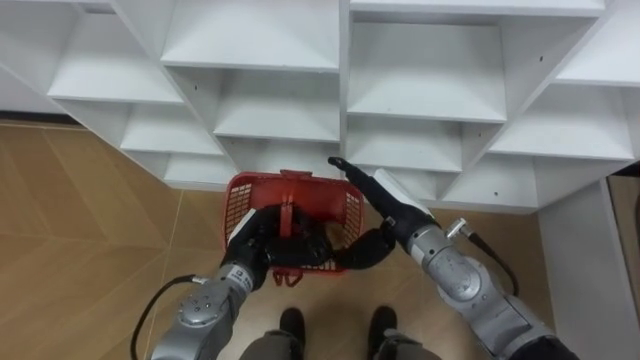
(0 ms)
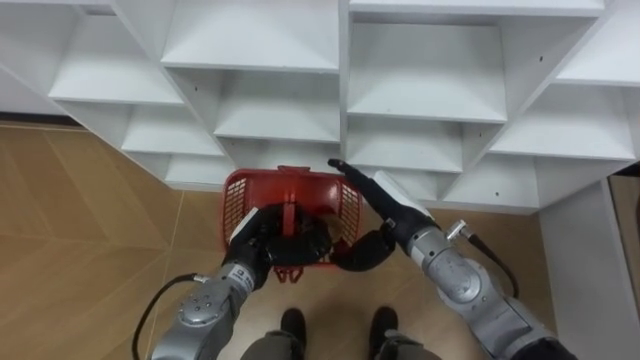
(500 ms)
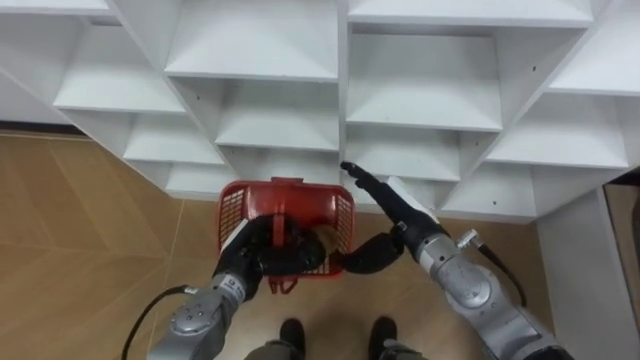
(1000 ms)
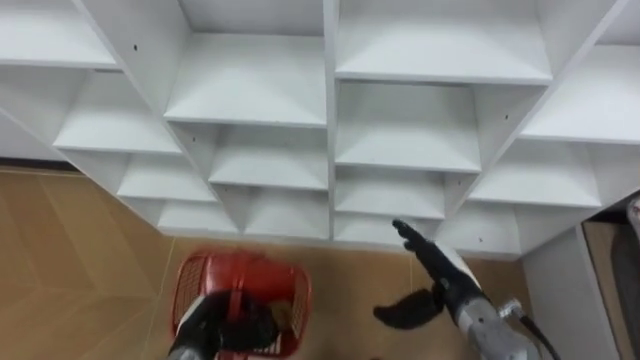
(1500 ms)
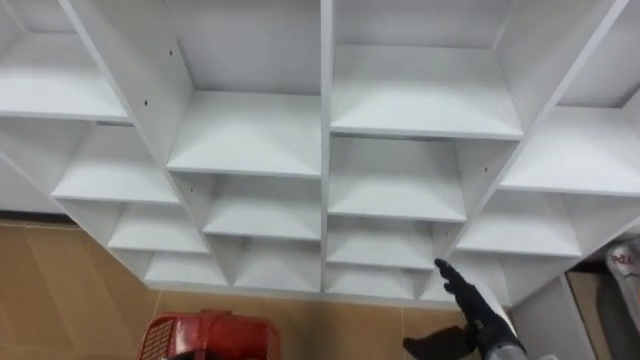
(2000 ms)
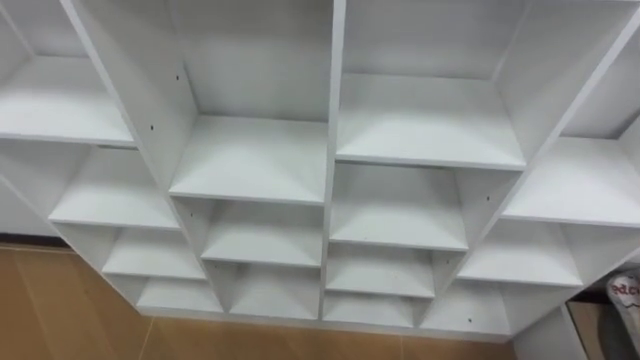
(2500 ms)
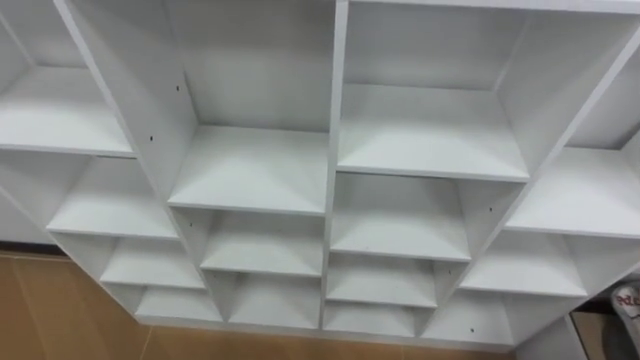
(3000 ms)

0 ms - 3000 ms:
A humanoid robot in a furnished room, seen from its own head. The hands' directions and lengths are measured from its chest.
Task of the whole recording: Hold the basket and collect the fruits from 3 different cells of the closet into it.
0 ms - 1500 ms: The right hand is displaced downward, to the right and backward by some 10 cm, while the left hand moves backward, downward and to the left, roughly 15 cm.

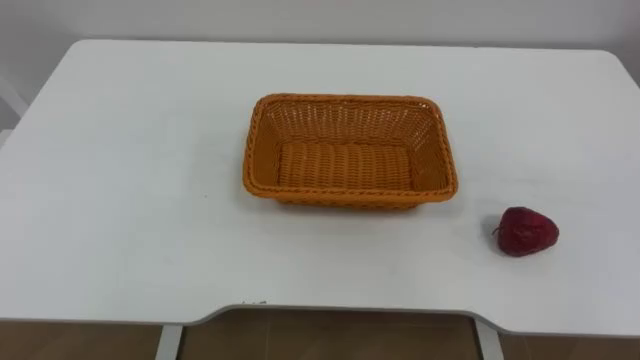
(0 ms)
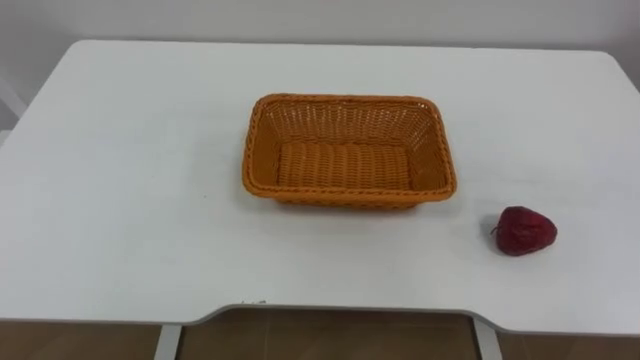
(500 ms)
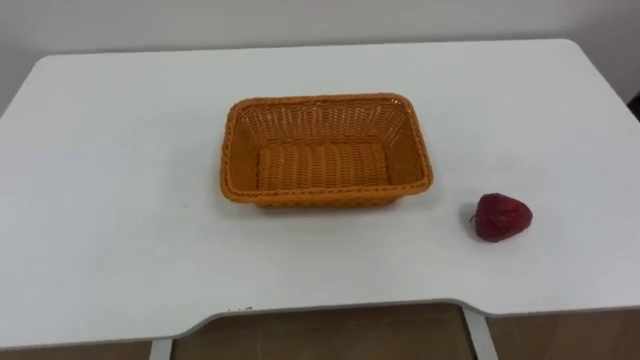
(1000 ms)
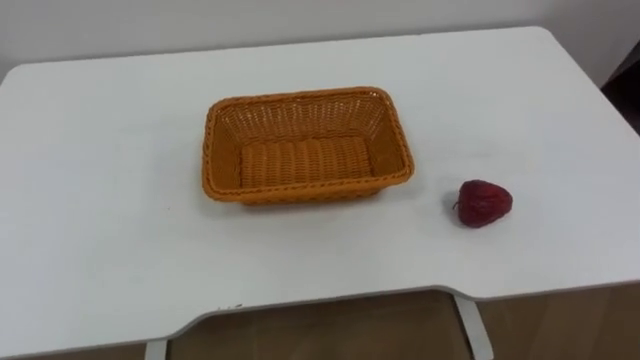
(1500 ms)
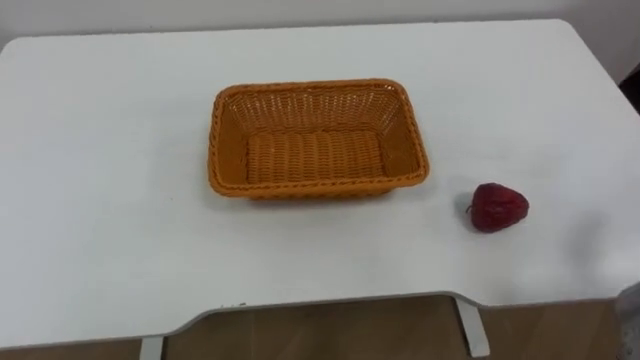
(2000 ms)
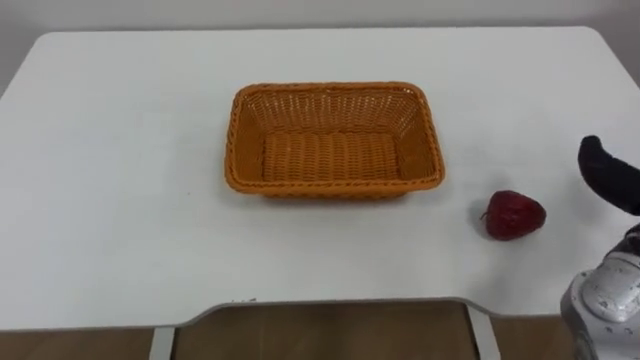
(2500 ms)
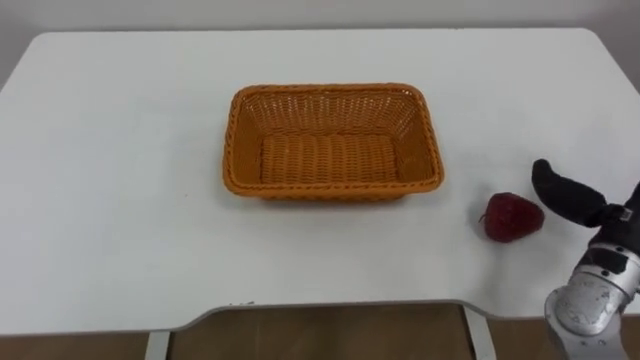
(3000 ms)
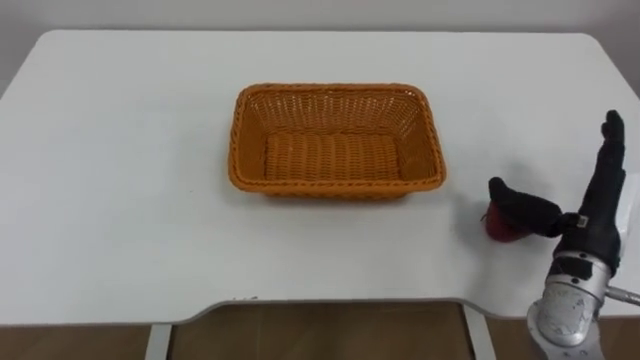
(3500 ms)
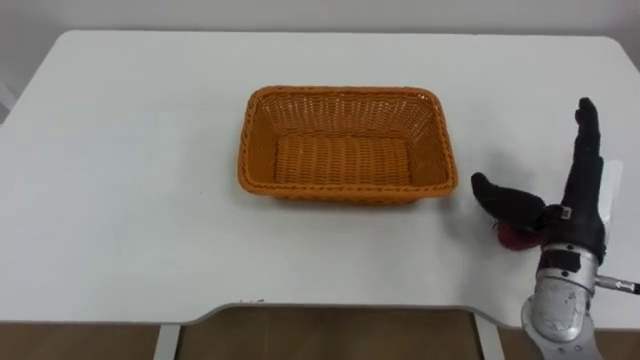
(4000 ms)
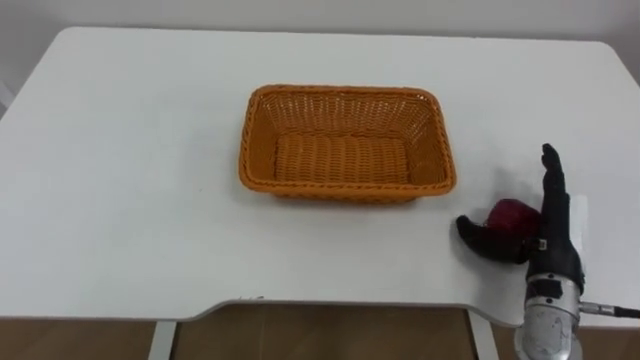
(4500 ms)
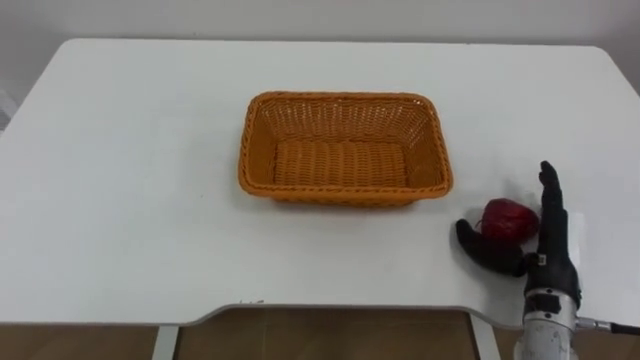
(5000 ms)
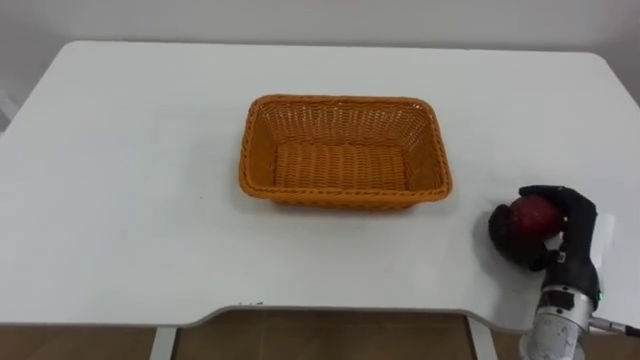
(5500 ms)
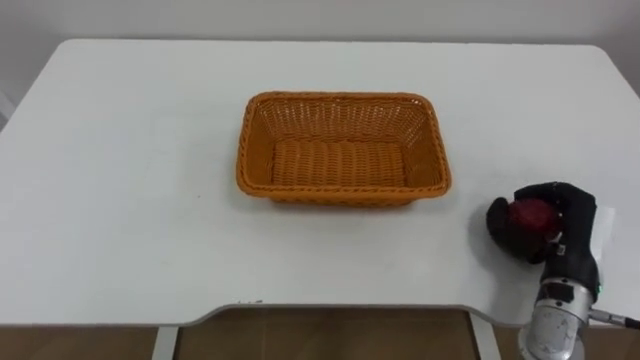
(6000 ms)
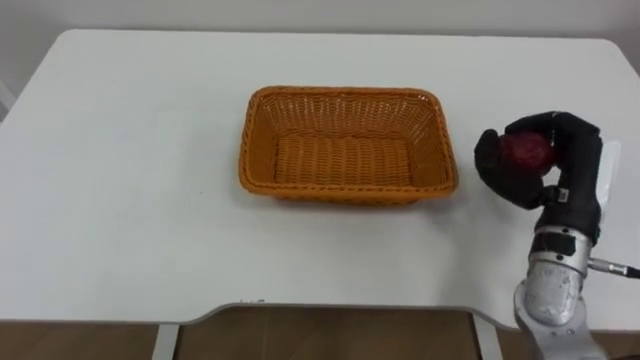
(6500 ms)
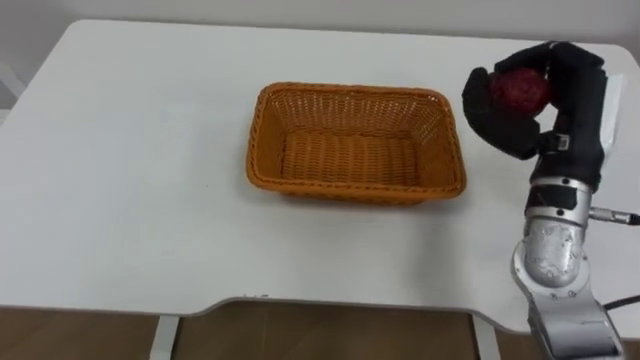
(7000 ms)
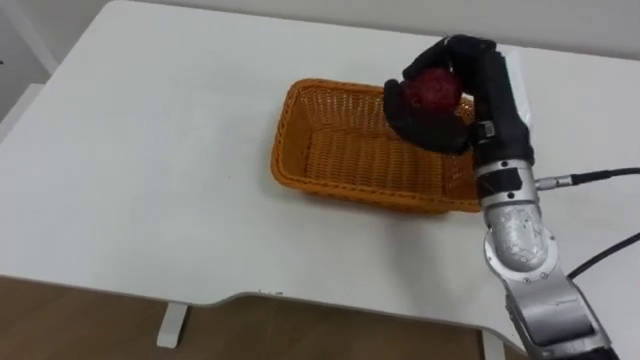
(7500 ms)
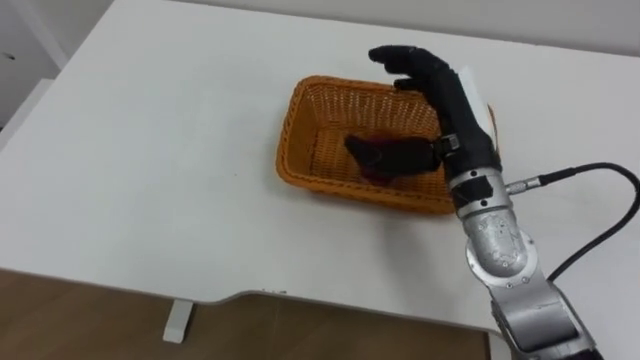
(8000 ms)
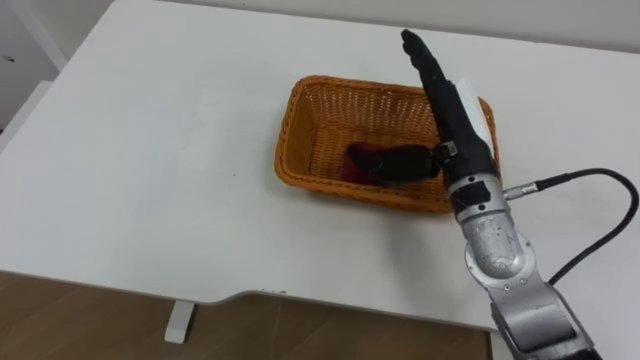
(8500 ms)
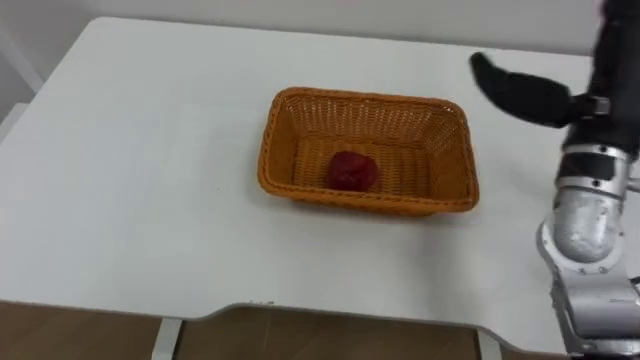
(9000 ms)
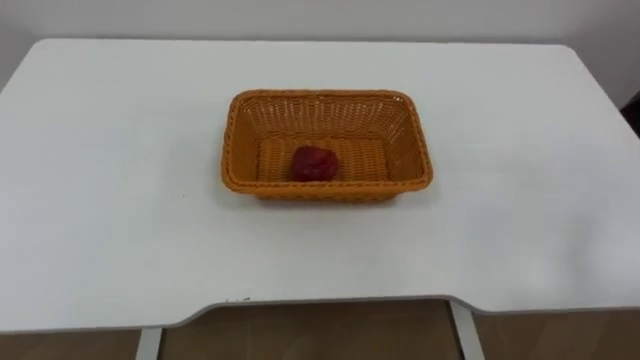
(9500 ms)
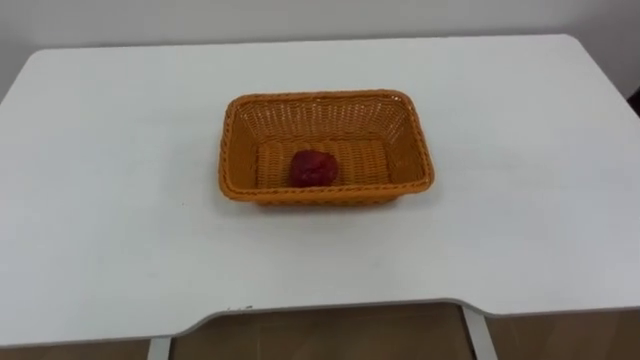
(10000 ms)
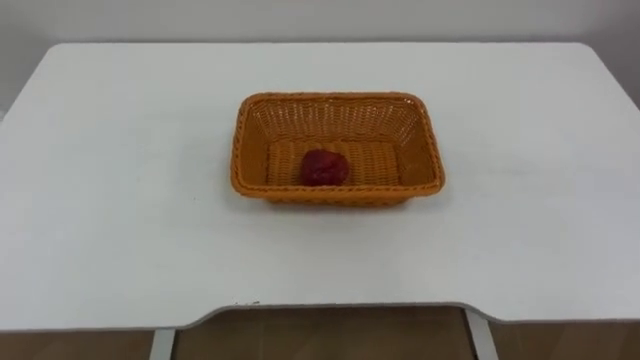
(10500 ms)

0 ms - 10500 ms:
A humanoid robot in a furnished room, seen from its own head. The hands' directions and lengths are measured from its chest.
Task of the whole recording: Pick the apple and place it in the box.
4000 ms - 6500 ms: The right hand moves about 10 cm downward and comes back, and closes up.
6500 ms - 8500 ms: The right hand heads to the left, covering some 15 cm, and opens up.

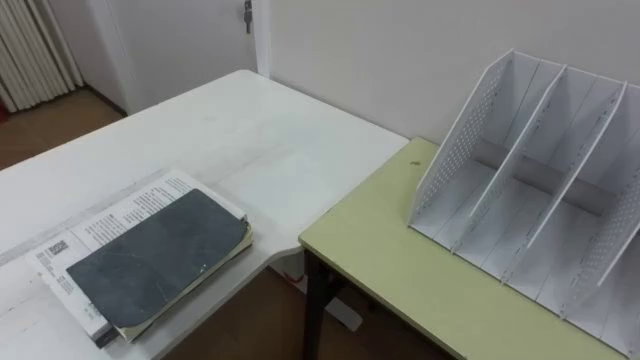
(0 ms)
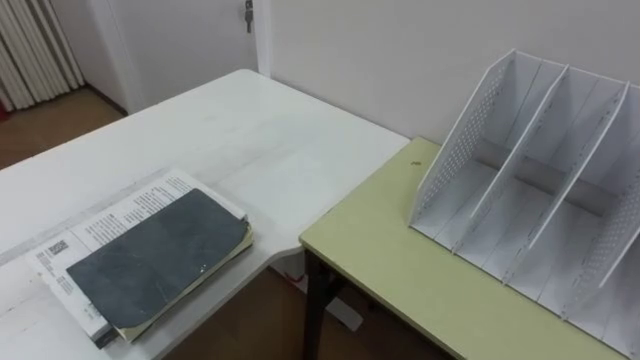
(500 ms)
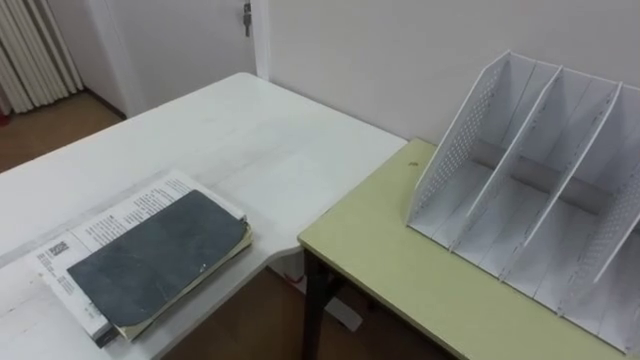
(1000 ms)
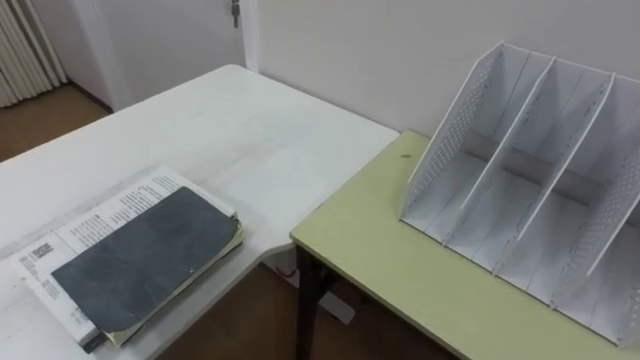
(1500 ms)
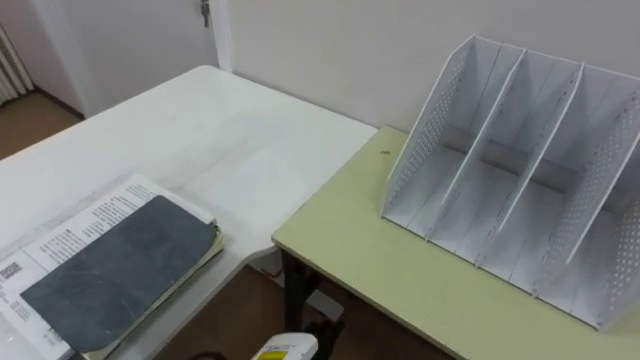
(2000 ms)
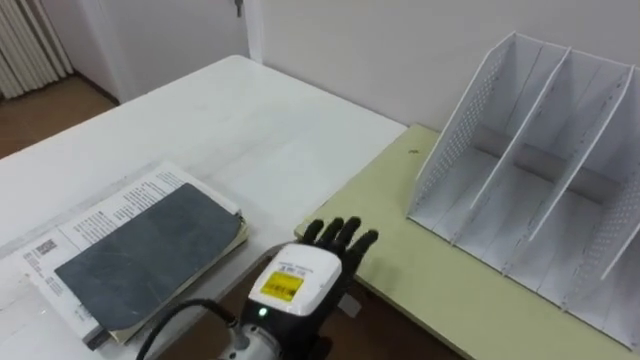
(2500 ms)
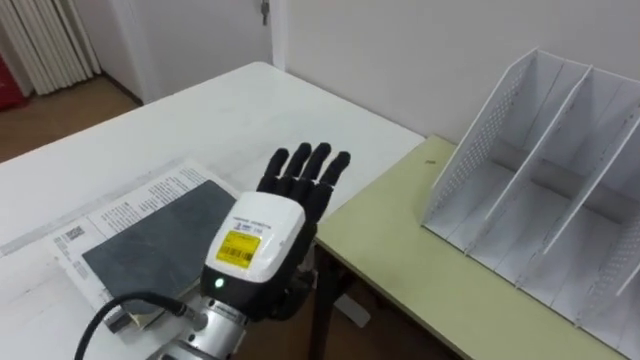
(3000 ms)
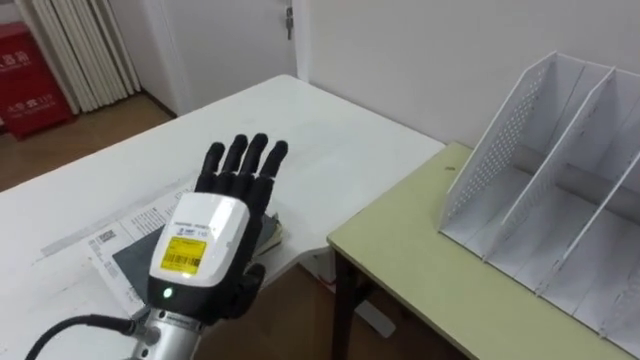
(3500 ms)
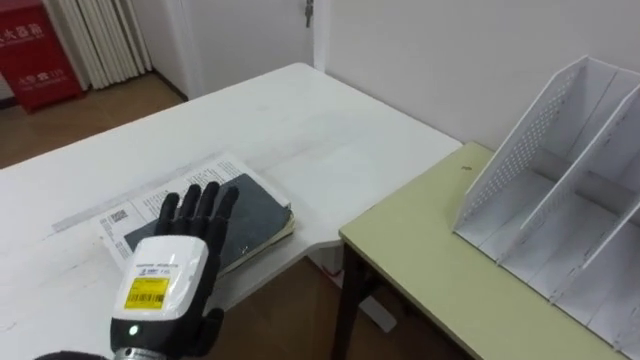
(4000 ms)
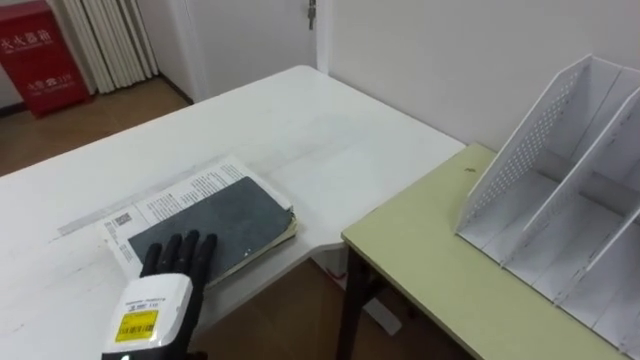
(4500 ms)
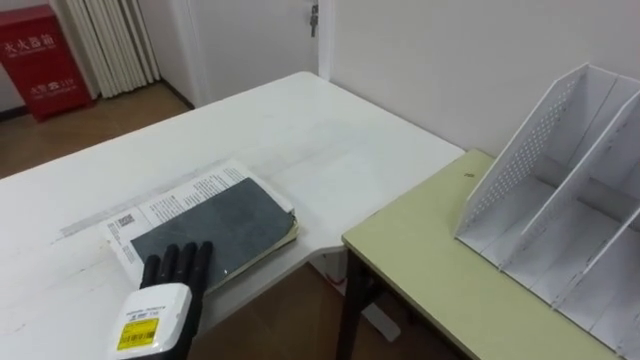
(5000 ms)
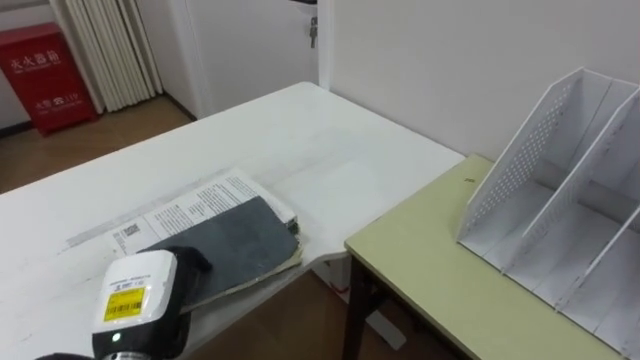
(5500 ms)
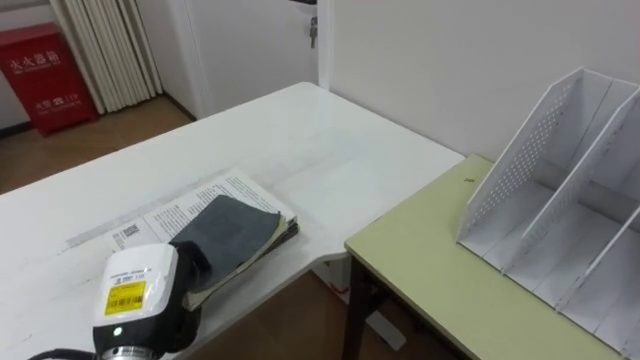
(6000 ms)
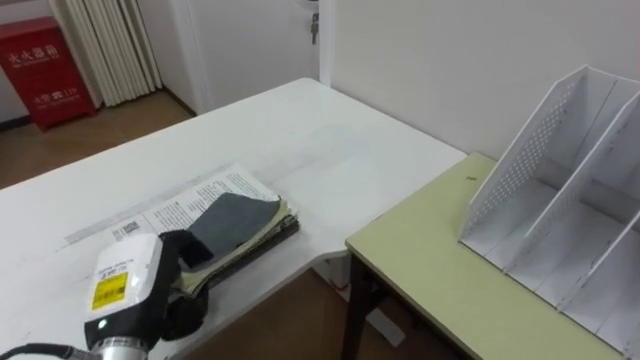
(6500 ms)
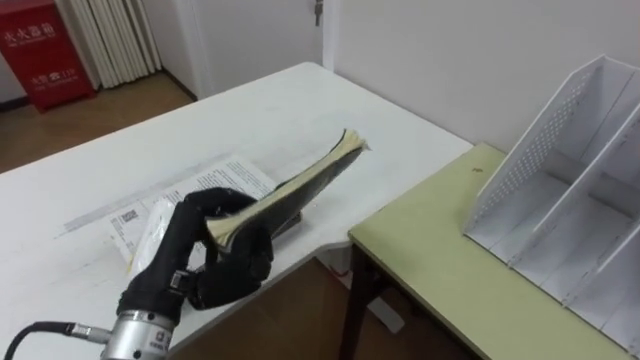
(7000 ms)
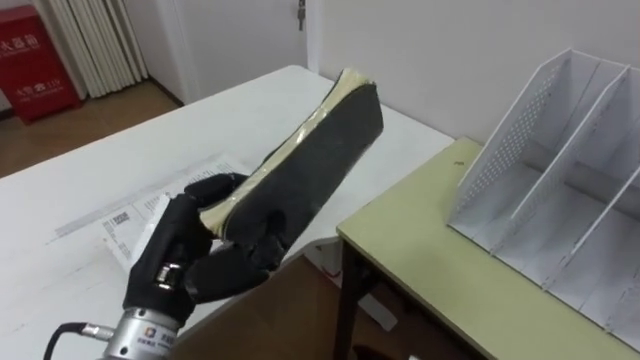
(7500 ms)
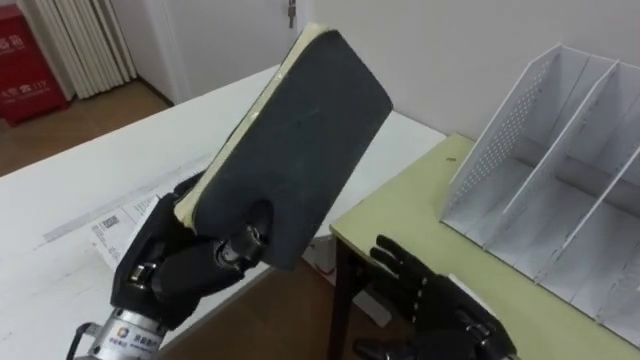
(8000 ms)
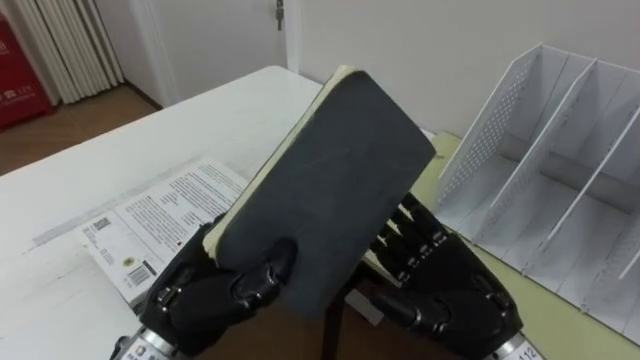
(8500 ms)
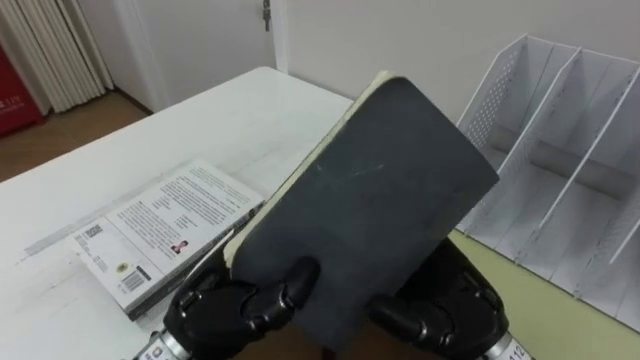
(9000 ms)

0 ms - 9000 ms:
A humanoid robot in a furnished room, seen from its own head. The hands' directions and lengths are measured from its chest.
Task of the whole recording: Put the books on the table onto the bookshelf.
4500 ms - 7000 ms: The left hand shifts about 10 cm upward, and closes its fingers.
7000 ms - 9000 ms: The left hand goes roughly 5 cm to the right.
